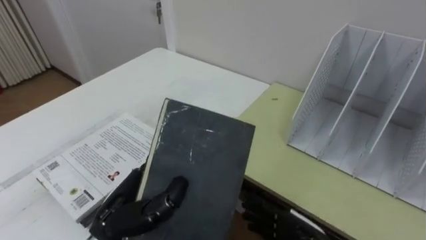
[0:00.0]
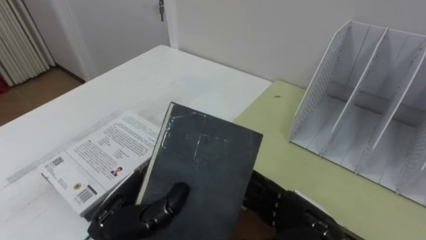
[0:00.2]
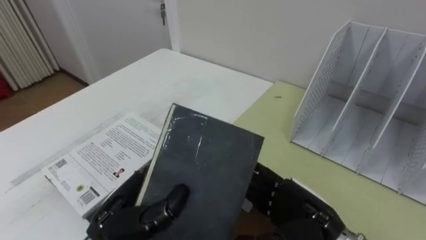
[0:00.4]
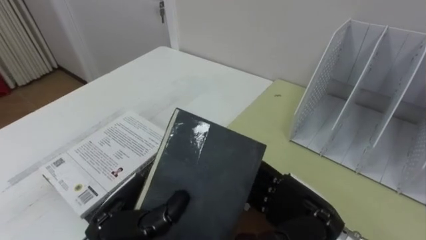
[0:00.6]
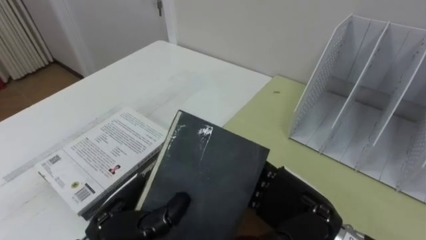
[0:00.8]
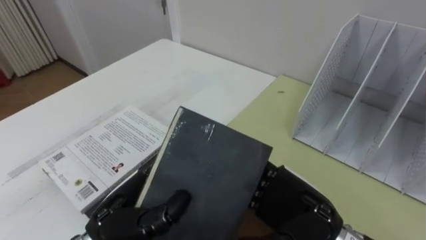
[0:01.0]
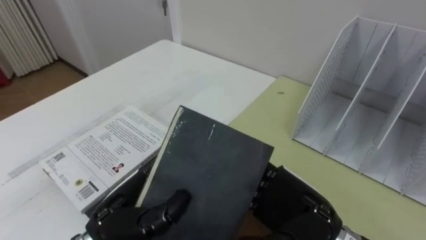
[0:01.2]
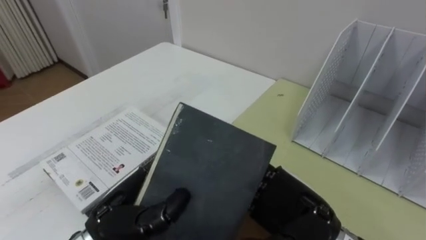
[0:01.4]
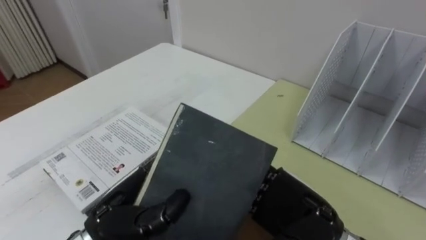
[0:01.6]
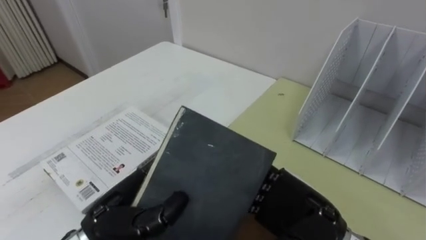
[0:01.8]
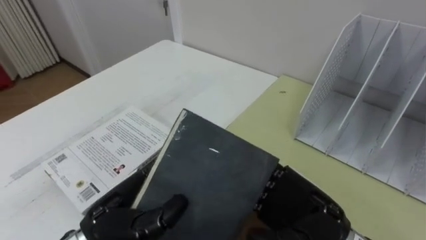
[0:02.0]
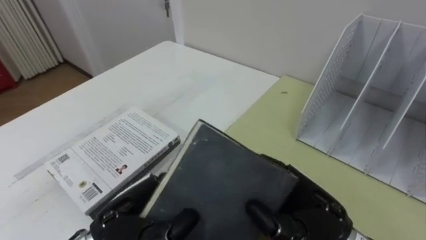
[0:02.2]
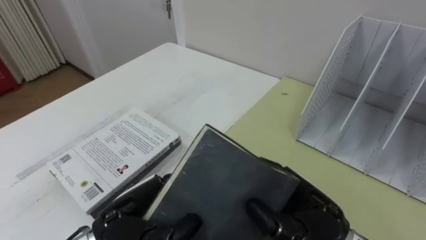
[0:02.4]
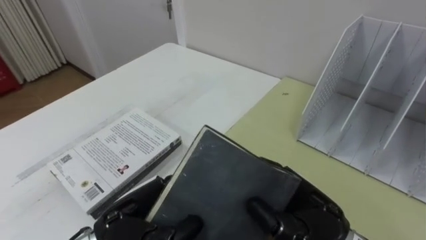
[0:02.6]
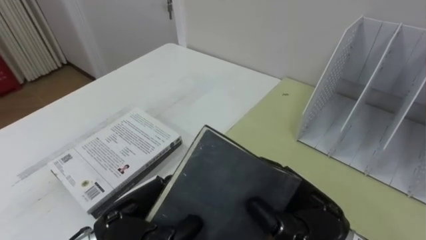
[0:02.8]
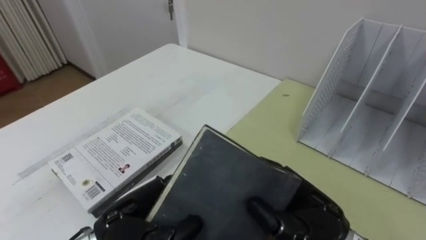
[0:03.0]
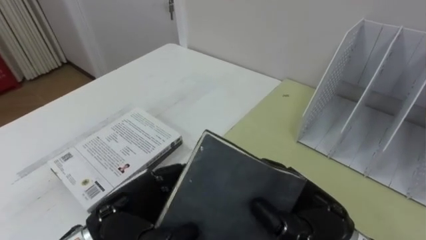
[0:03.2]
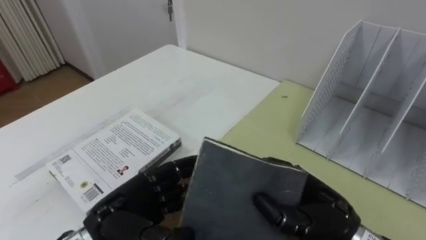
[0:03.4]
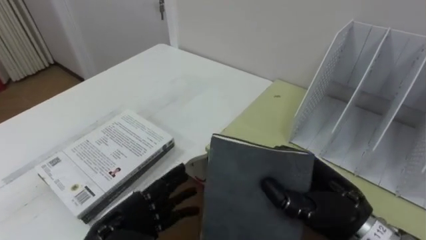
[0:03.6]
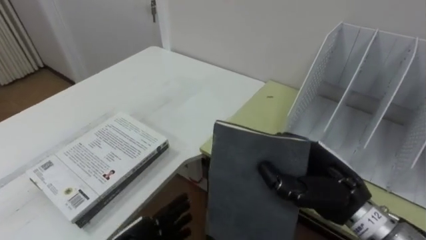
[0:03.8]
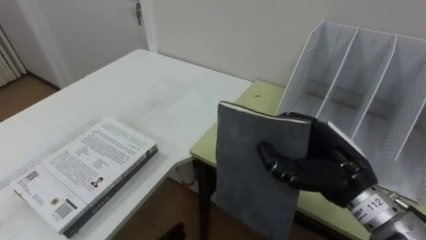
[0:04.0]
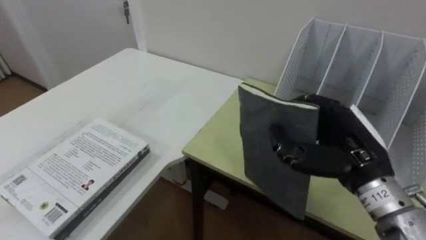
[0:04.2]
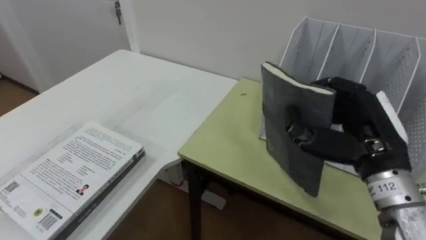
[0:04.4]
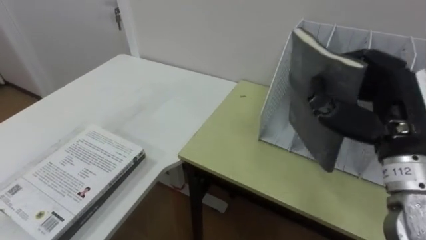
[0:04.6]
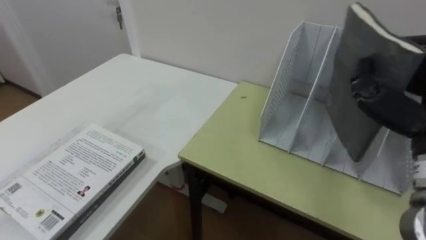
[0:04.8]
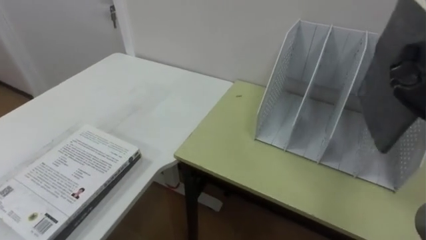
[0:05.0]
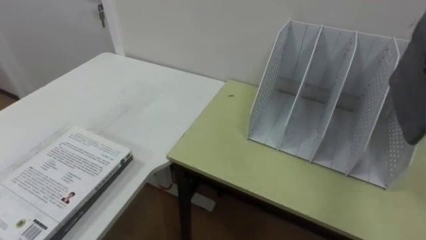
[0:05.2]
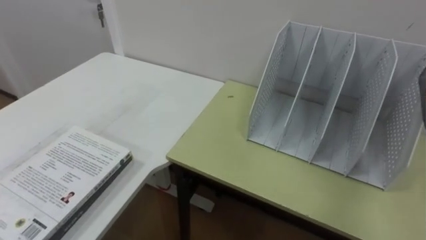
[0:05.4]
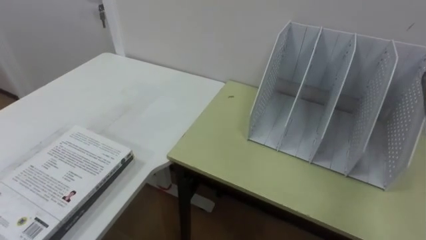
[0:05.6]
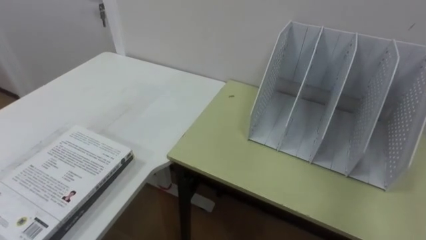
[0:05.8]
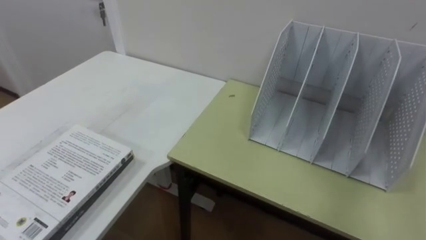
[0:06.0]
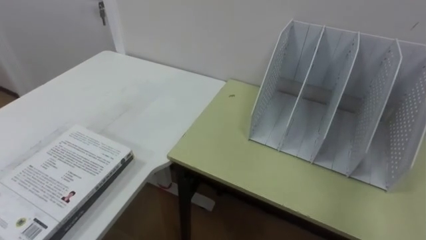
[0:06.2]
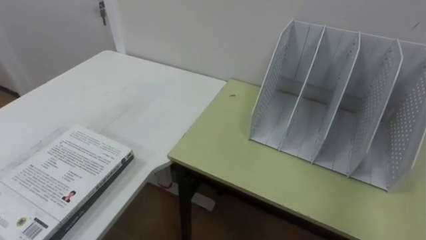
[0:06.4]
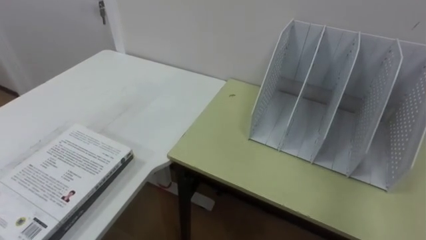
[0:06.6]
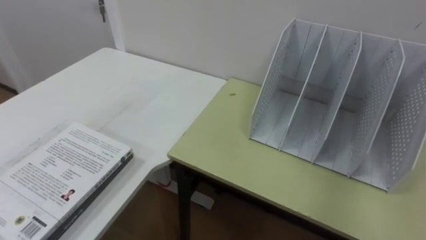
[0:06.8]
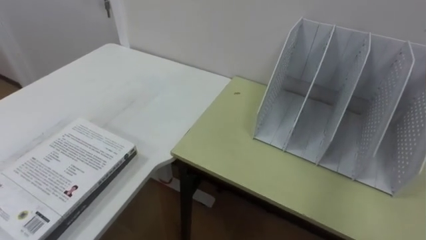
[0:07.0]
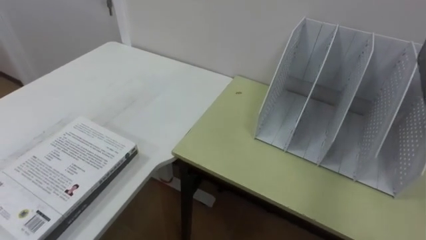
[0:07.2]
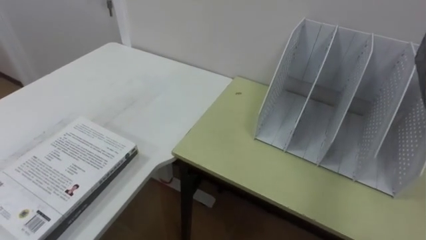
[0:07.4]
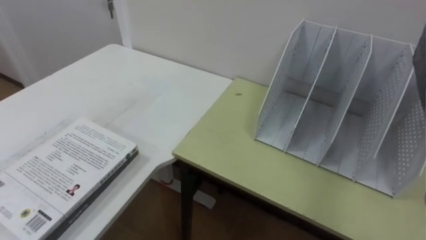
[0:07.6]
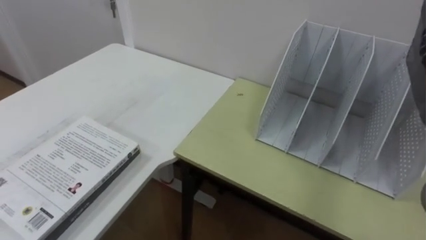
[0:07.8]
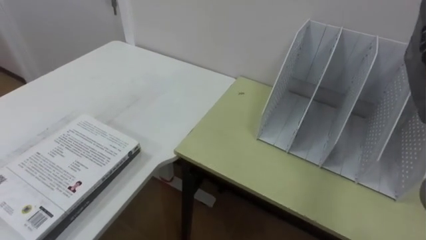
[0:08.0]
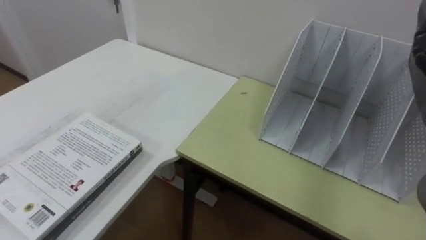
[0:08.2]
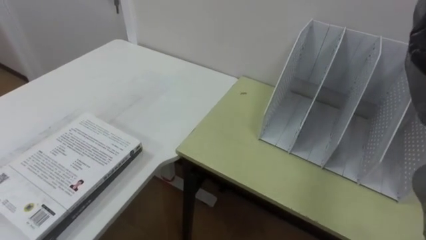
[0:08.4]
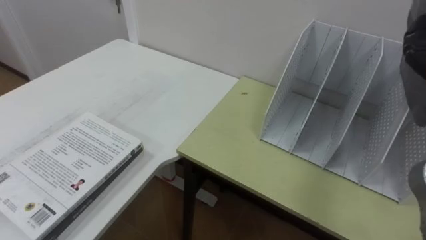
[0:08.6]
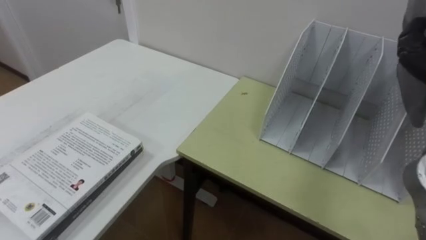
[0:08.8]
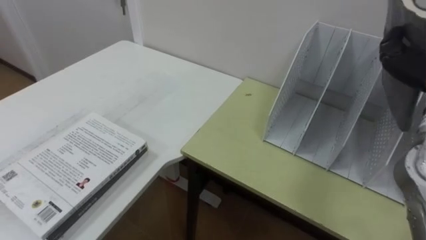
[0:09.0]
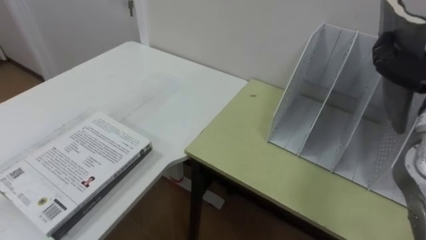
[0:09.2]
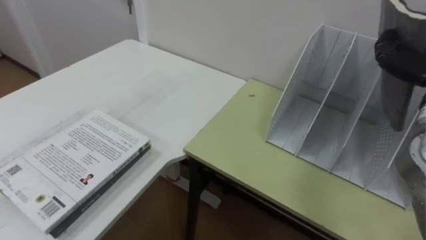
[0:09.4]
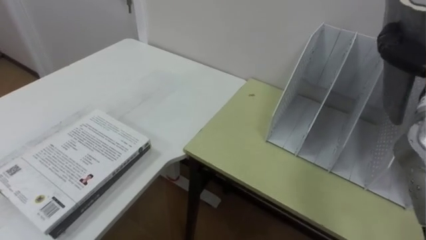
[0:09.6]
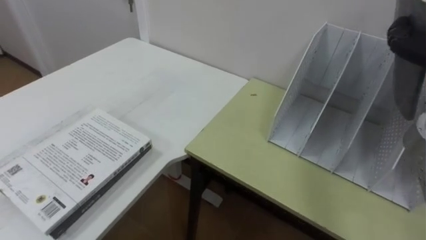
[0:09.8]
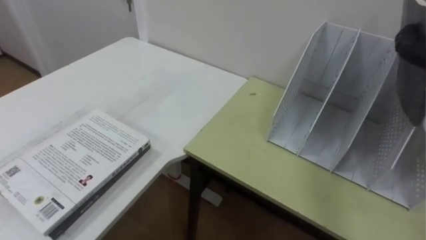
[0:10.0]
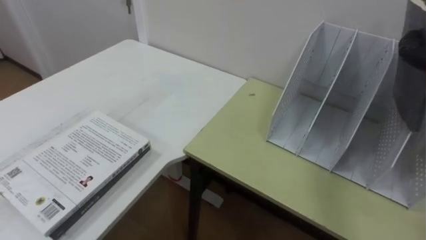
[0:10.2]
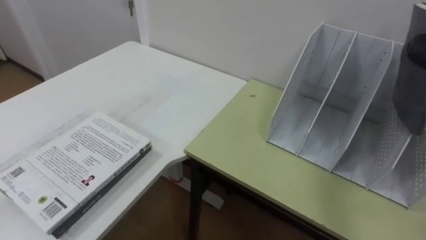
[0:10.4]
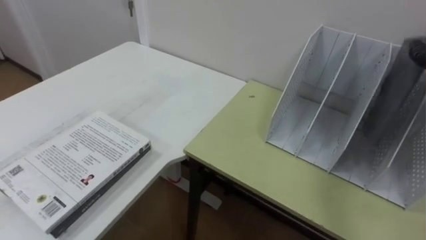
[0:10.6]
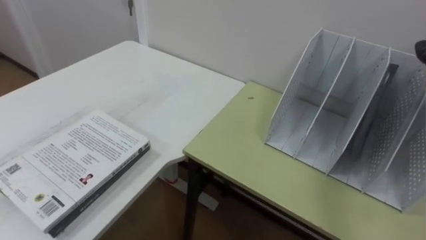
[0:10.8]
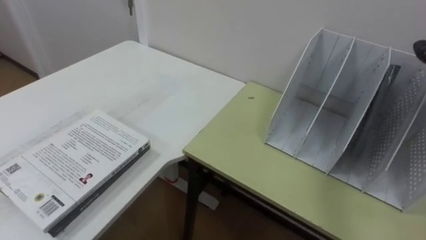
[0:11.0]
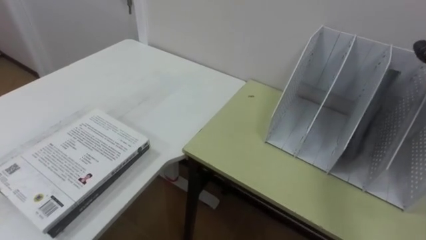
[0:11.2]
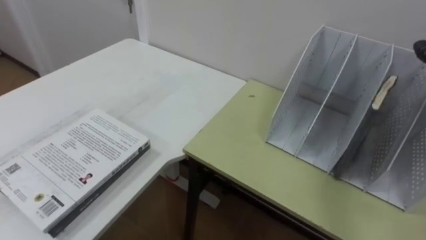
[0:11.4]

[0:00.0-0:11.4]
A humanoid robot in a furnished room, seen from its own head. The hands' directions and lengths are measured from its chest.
Task of the whole recording: Put the books on the table onto the bookshelf.
0:00.0 to 0:01.4: The right hand shifts about 15 cm upward.
0:01.4 to 0:02.8: The right hand closes up.
0:02.8 to 0:04.2: The right hand heads to the right, forward and upward, covering about 10 cm.

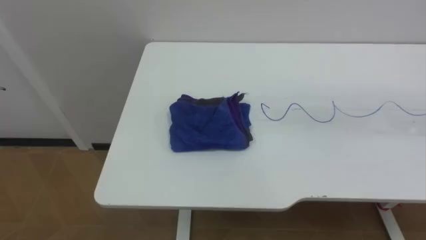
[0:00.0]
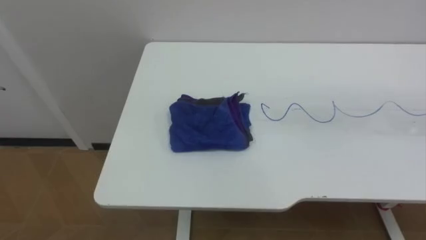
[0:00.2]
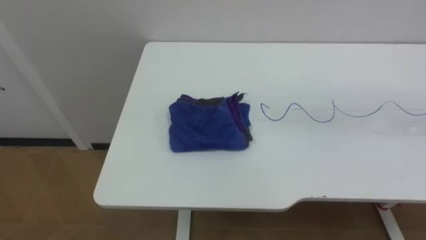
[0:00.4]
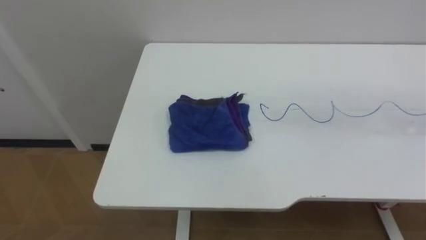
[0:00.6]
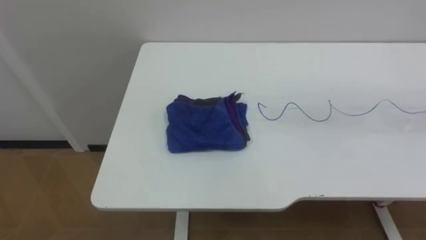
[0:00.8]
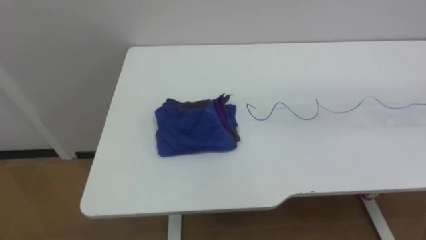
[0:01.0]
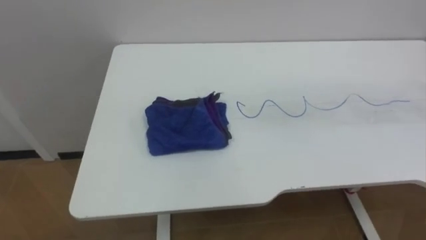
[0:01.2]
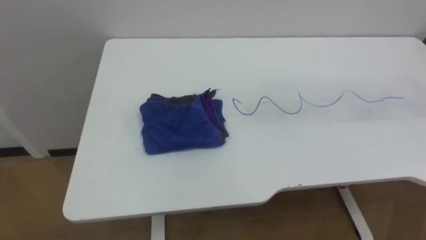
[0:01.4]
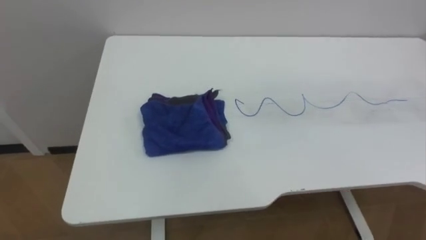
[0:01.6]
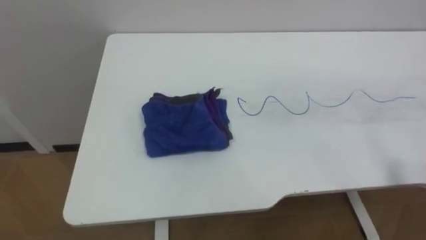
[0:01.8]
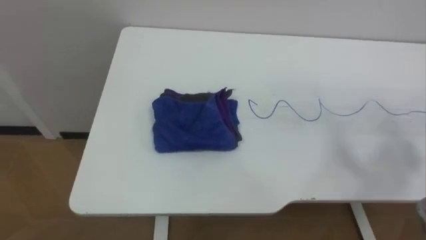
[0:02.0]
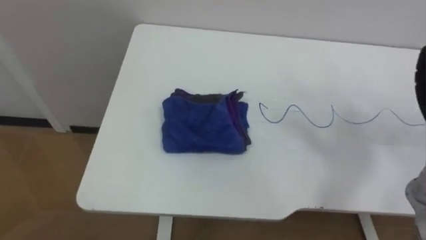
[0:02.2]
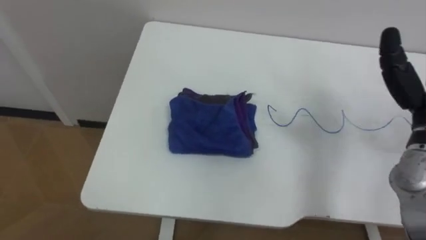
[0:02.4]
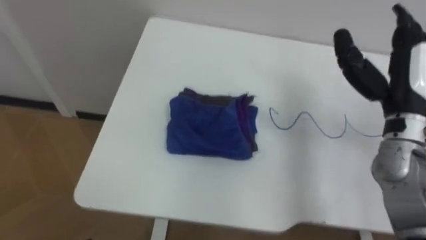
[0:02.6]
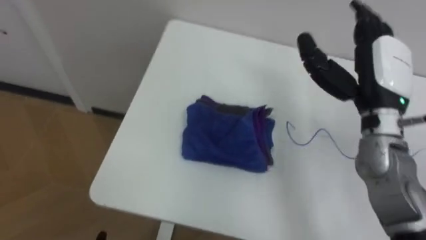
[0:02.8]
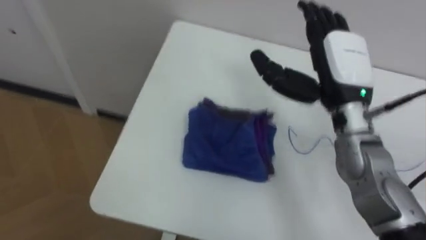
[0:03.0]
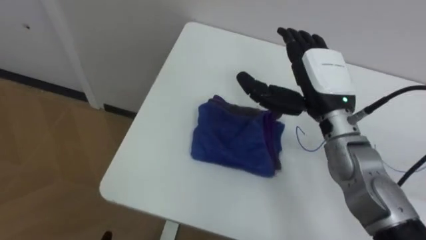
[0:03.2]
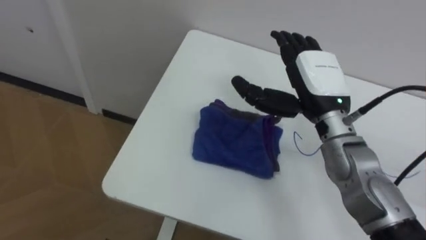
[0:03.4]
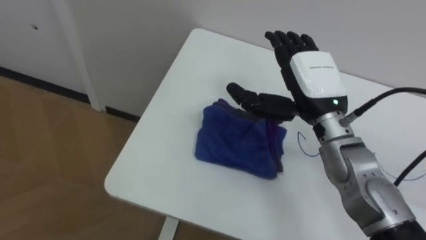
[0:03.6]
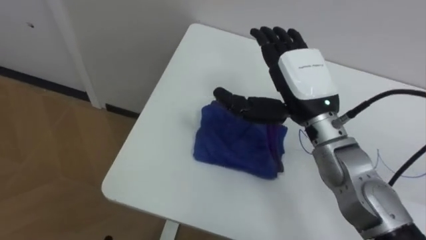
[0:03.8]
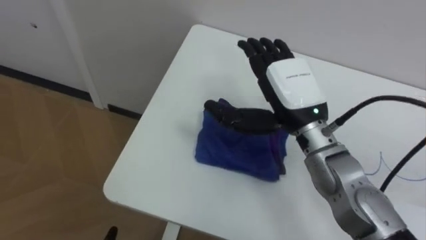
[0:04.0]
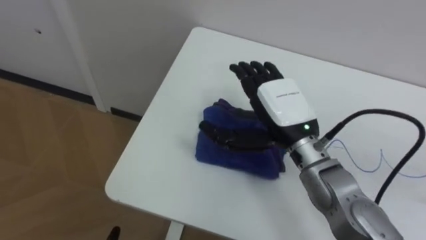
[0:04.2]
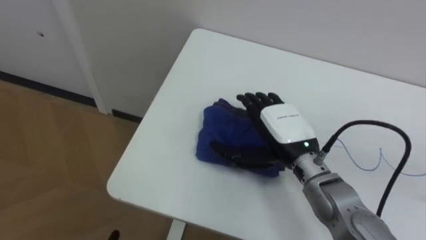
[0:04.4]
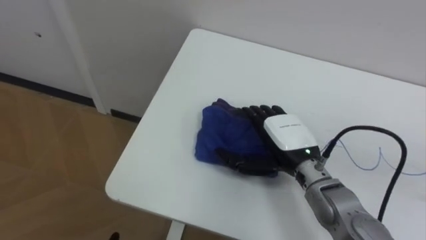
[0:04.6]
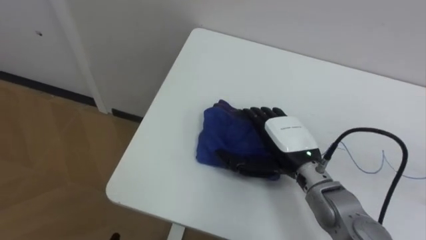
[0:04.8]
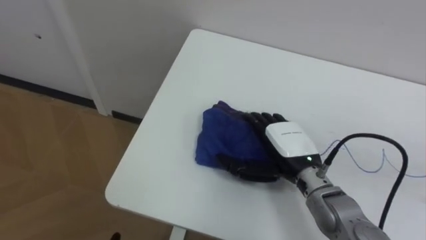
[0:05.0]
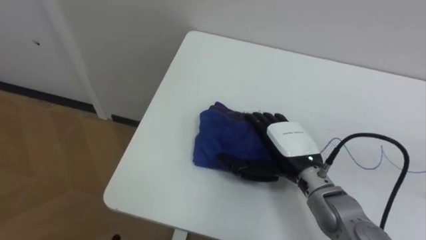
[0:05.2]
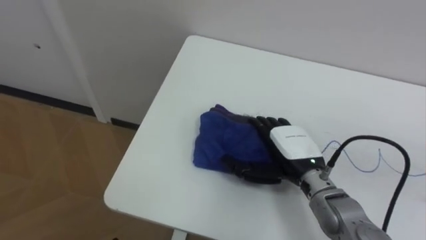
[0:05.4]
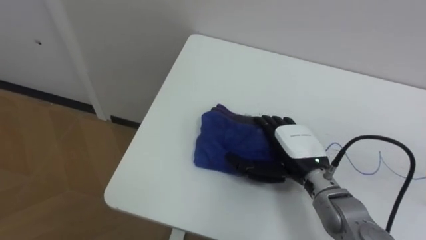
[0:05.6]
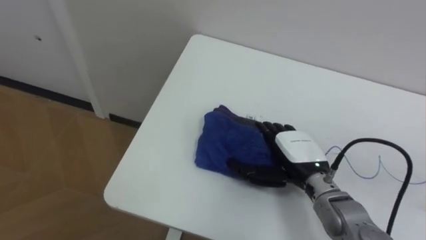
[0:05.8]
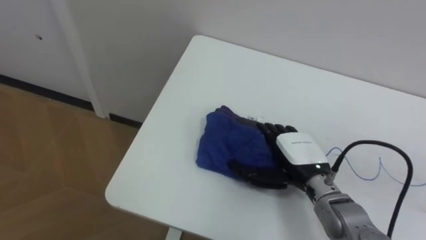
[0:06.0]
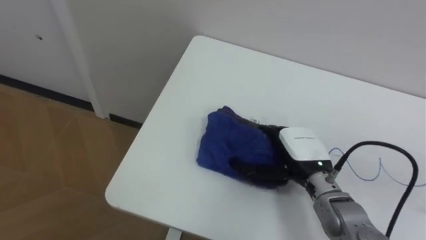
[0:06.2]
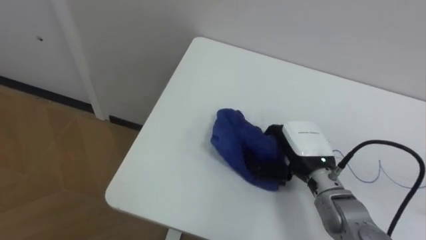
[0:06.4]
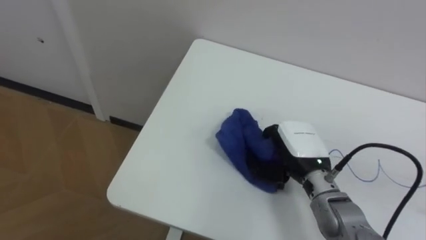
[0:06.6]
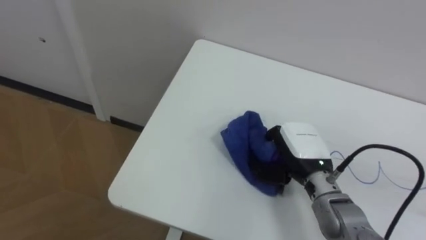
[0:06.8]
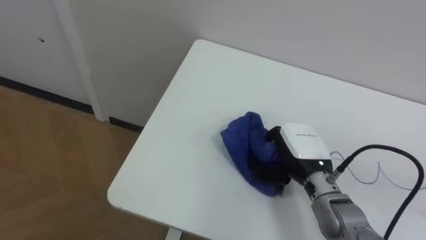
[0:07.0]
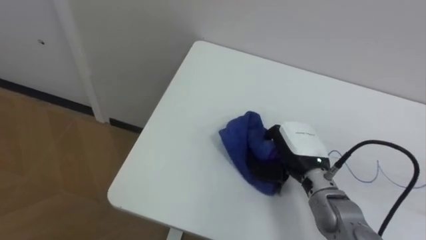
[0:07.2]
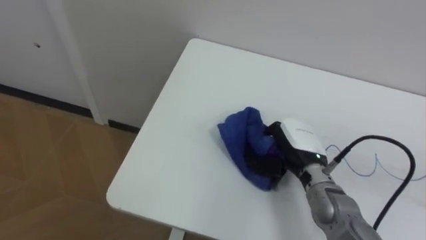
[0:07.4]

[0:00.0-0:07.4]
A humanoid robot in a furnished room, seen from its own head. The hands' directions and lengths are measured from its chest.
Task of the whole recording: Wipe the blue pen marks off the table with the rag.
0:03.0 to 0:04.4: The right hand heads downward and to the left, covering roughly 10 cm.
0:04.4 to 0:06.0: The right hand goes roughly 5 cm downward.
0:06.0 to 0:07.4: The right hand closes.
